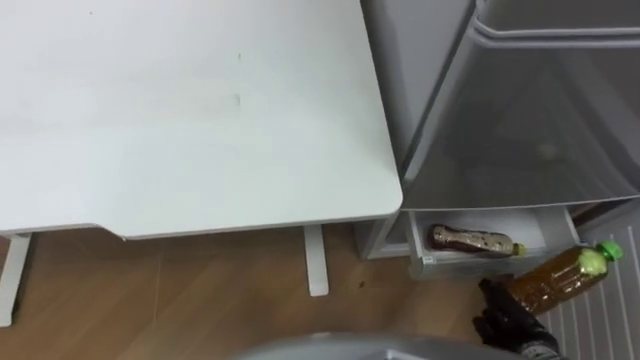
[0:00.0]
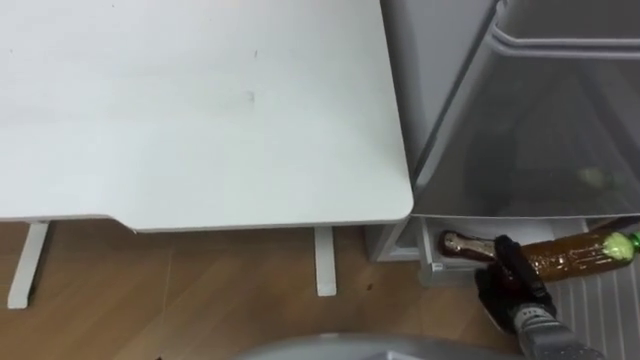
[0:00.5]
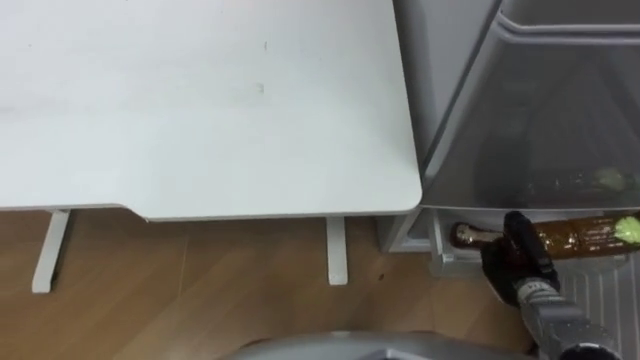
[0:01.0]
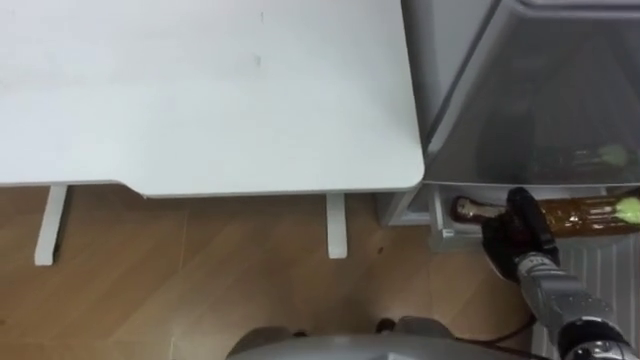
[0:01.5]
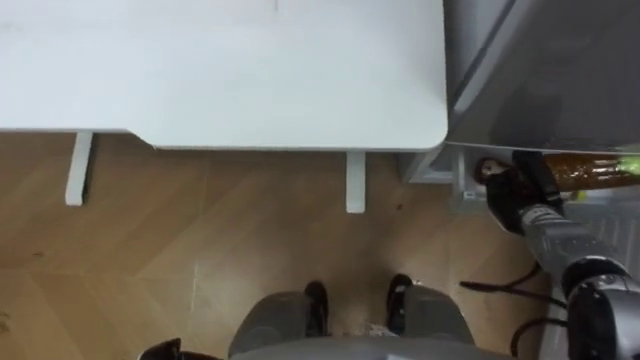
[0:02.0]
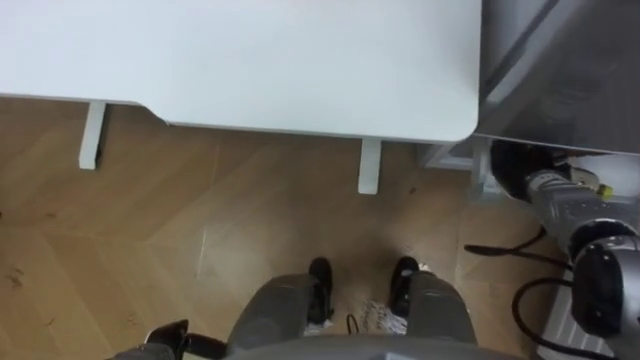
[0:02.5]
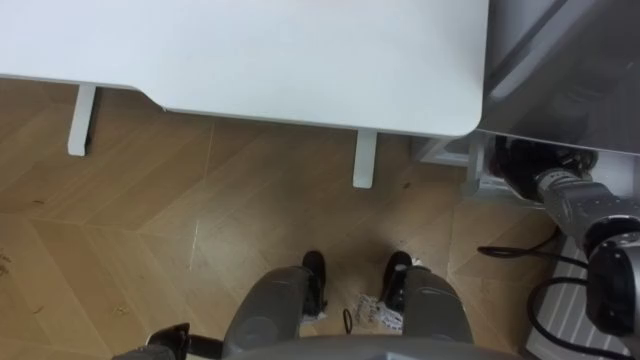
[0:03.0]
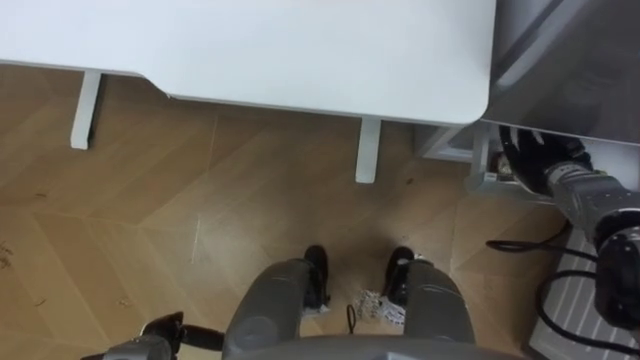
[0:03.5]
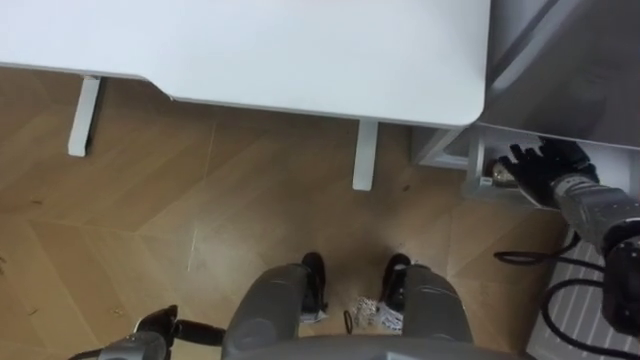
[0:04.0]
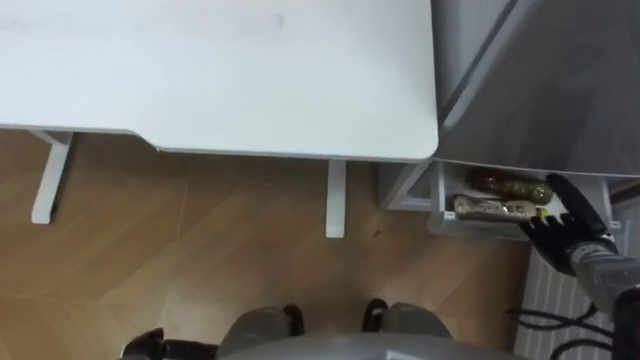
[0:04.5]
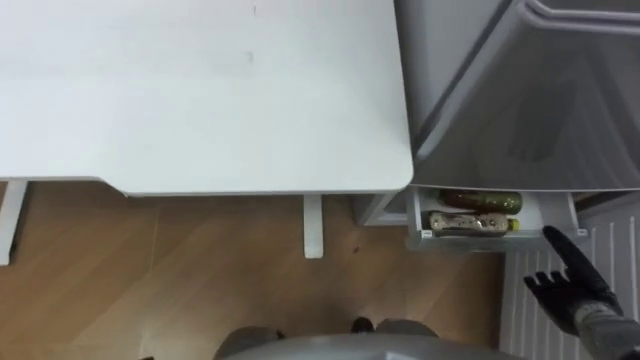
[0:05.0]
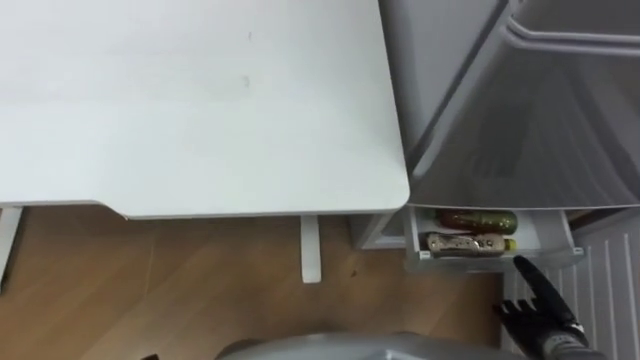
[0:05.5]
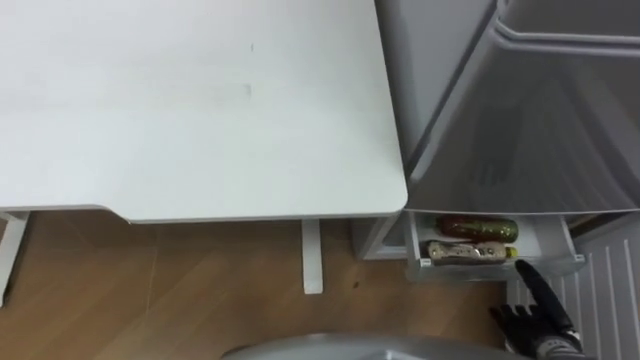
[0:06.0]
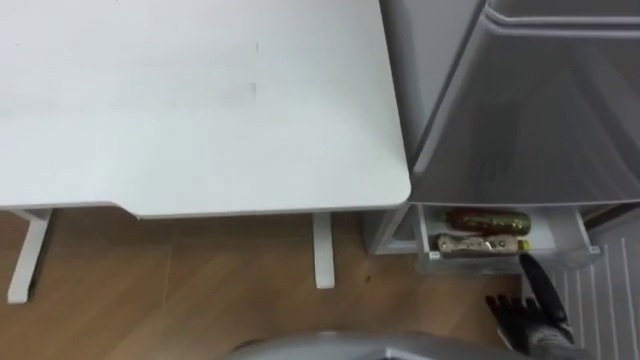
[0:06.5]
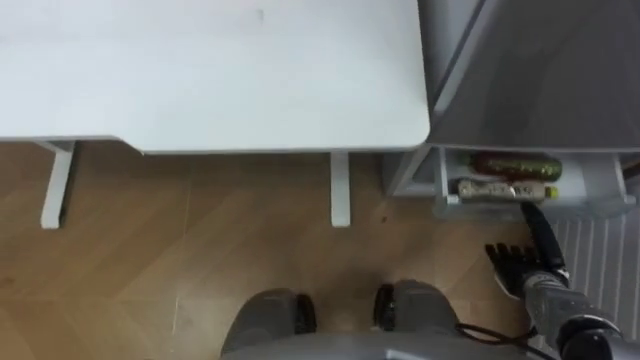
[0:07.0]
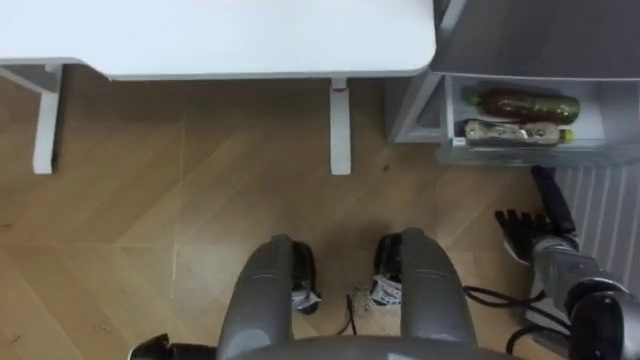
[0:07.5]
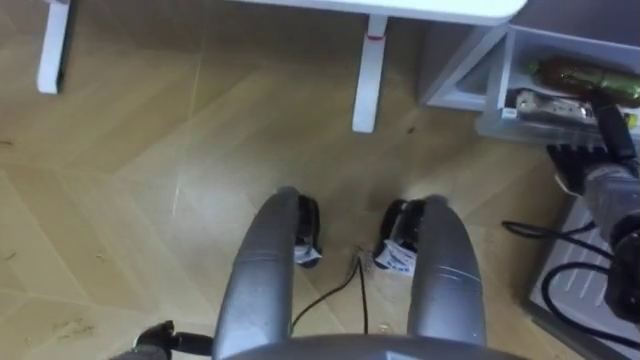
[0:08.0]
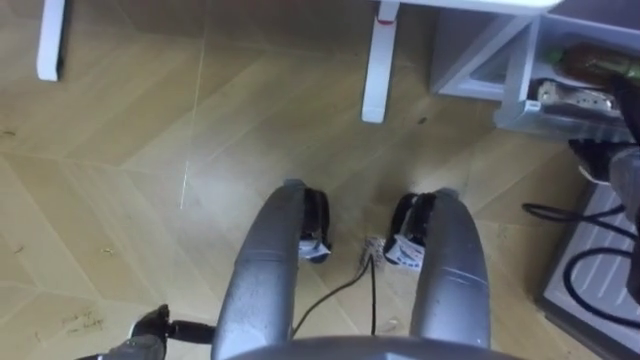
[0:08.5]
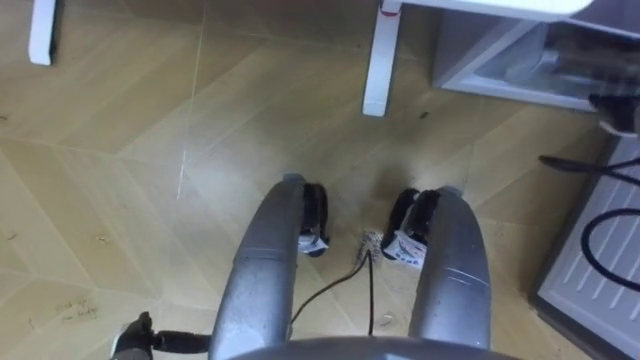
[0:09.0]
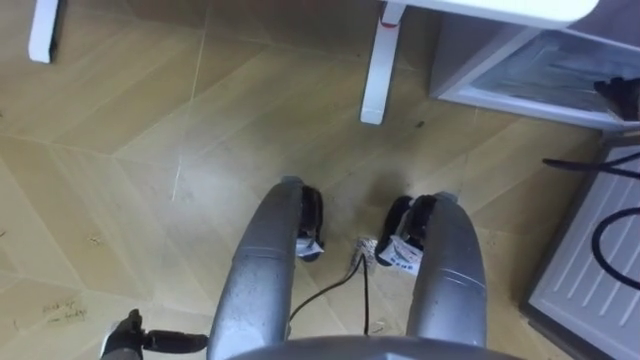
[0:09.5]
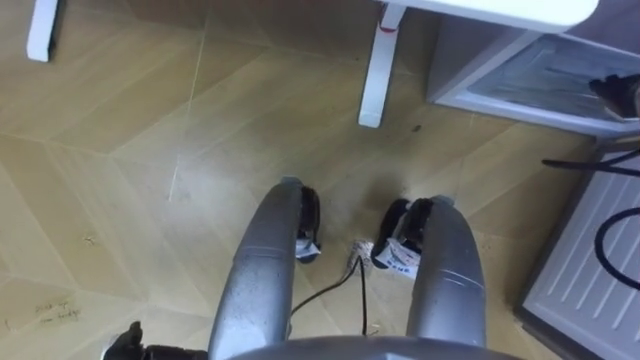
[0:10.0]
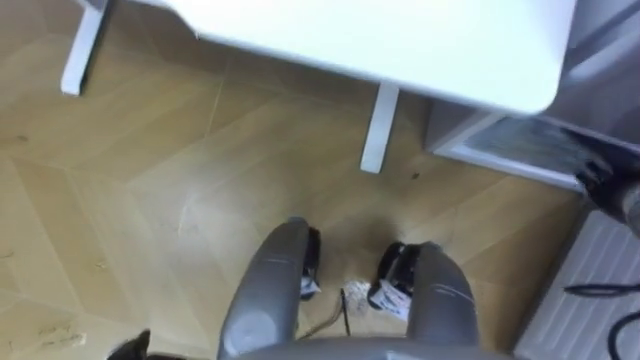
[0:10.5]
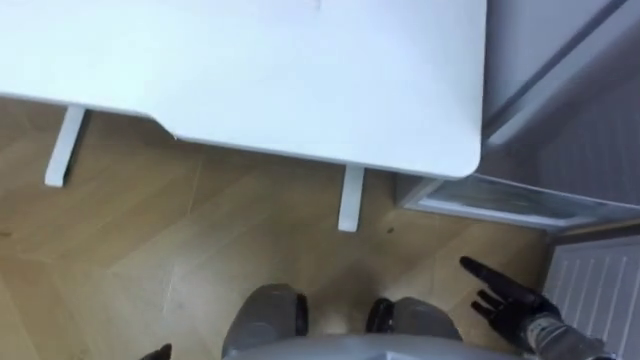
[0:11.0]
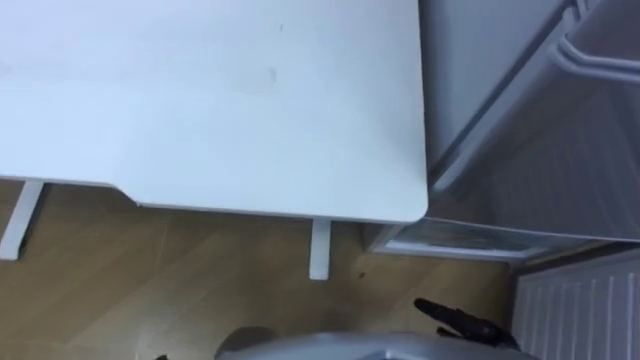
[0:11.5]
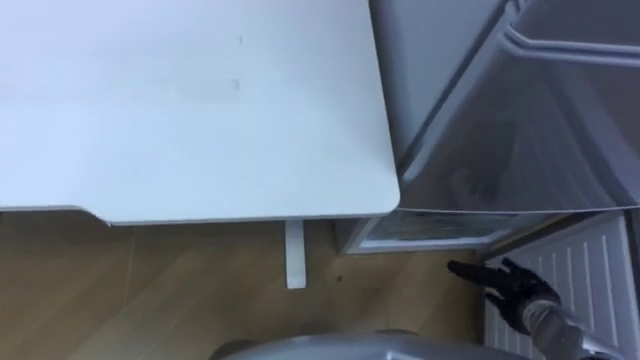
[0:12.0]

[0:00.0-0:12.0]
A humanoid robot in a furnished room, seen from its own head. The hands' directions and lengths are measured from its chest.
Task of the whole recording: Place the drink on the table on the bottom shelf of the refrigerator, then close the drawer and the refrigerator door.
0:00.0 to 0:02.0: The right hand heads forward, covering approximately 20 cm.
0:02.0 to 0:04.0: The right hand changes place by approximately 5 cm, and opens.
0:04.0 to 0:06.0: The right hand goes roughly 25 cm backward and downward.
0:06.0 to 0:08.0: The right hand heads forward and upward, covering some 25 cm.
0:08.0 to 0:10.0: The right hand heads upward and forward, covering approximately 15 cm.
0:10.0 to 0:12.0: The right hand travels backward, downward and to the left by roughly 35 cm.

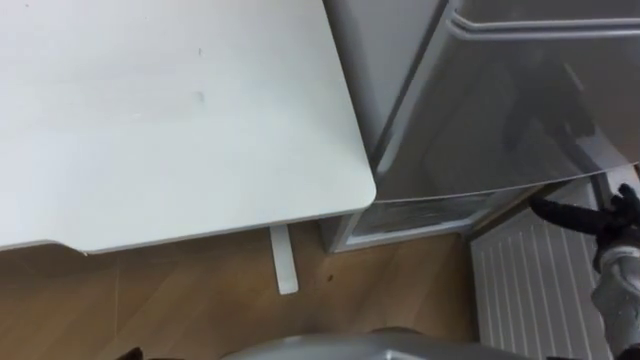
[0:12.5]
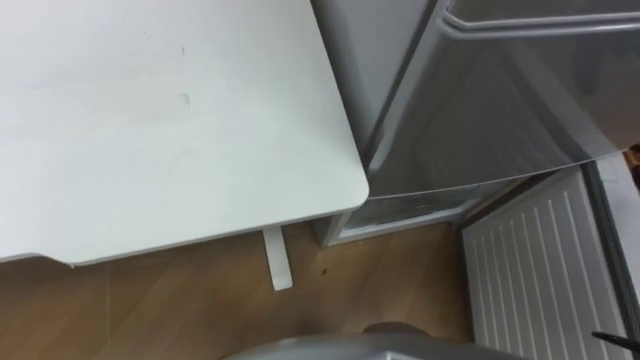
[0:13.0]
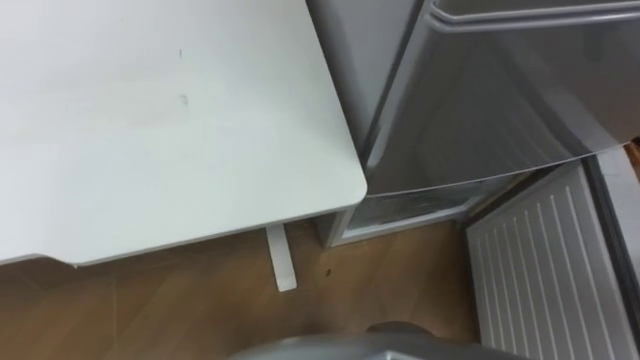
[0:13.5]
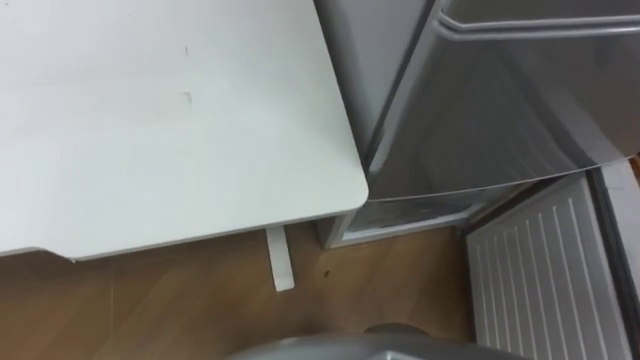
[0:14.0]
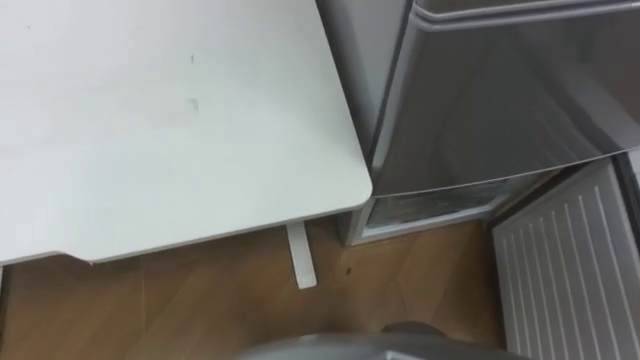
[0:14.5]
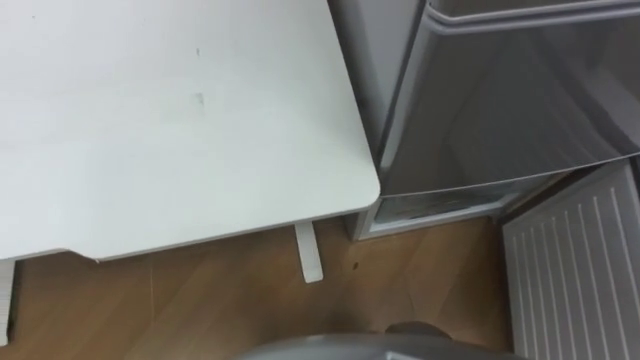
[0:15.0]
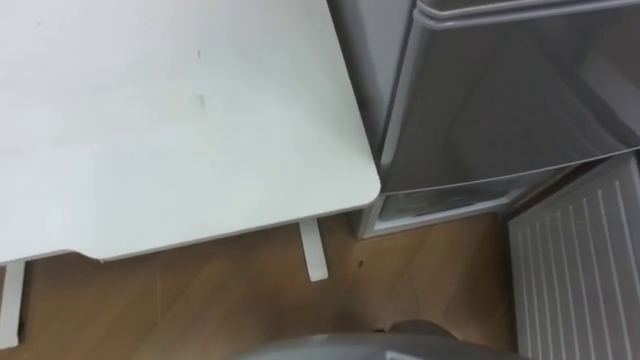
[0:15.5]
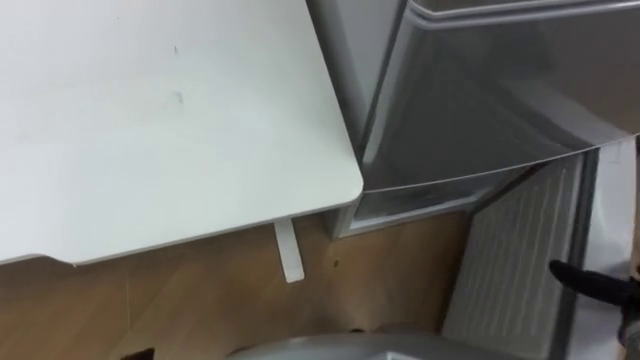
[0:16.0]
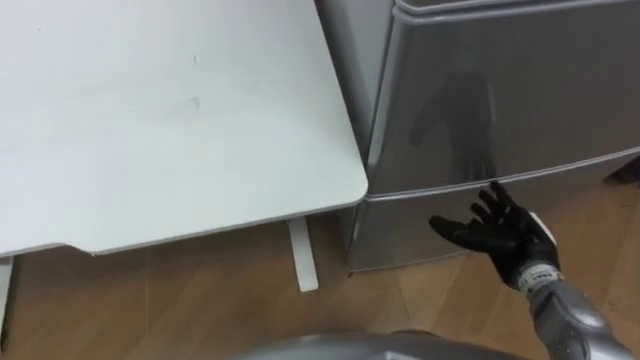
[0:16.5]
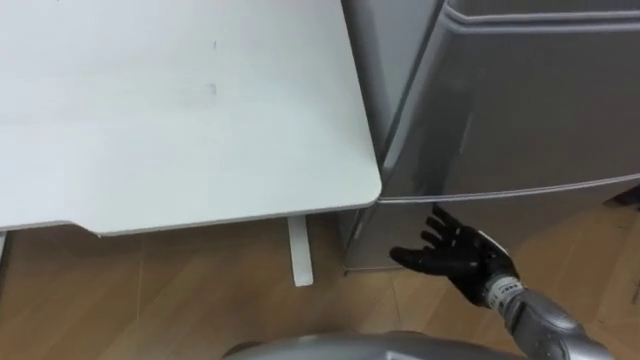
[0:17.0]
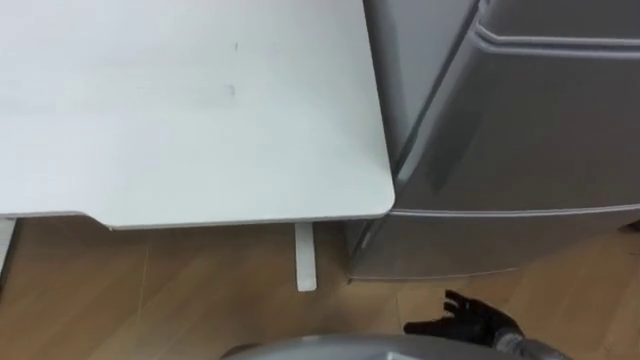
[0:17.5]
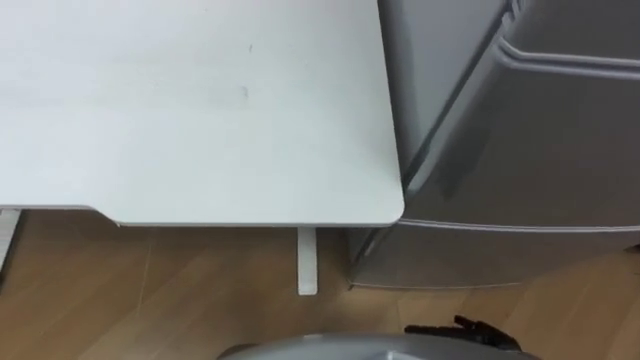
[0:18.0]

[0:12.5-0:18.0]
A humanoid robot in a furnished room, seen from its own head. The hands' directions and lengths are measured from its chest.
Task of the whole recording: Place the drink on the table on the bottom shelf of the refrigerator, then close the drawer and the refrigerator door.
0:16.0 to 0:18.0: The right hand travels to the left and downward by roughly 20 cm.

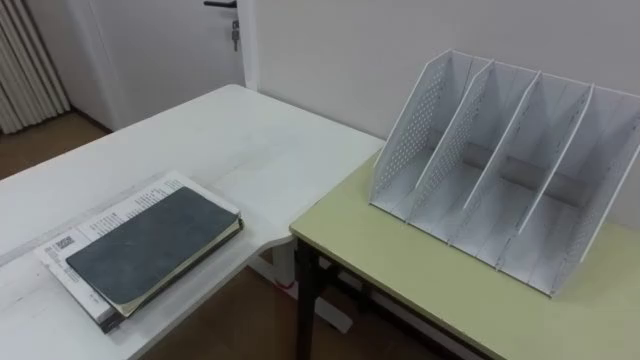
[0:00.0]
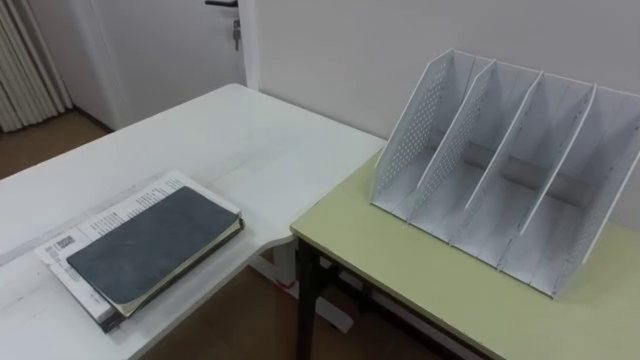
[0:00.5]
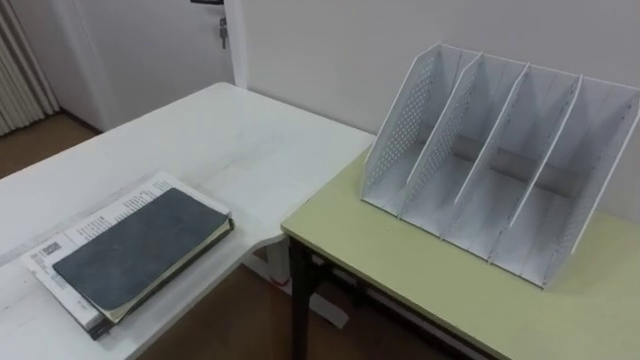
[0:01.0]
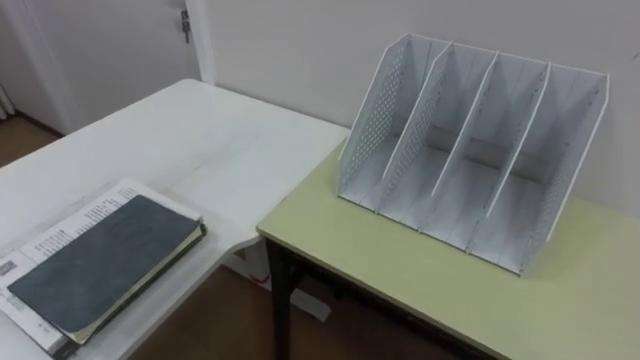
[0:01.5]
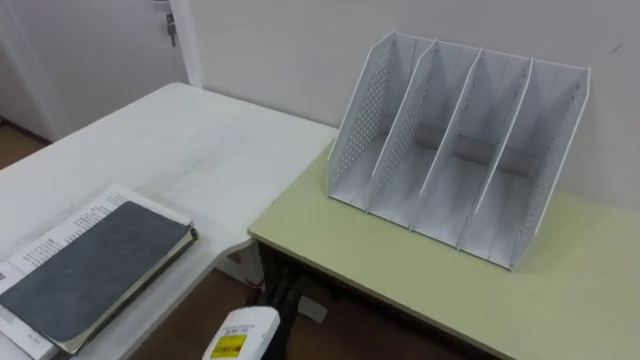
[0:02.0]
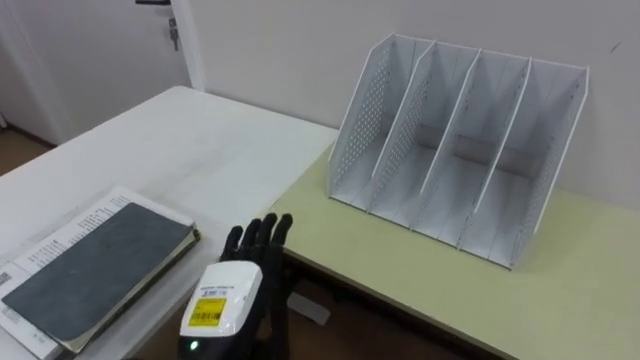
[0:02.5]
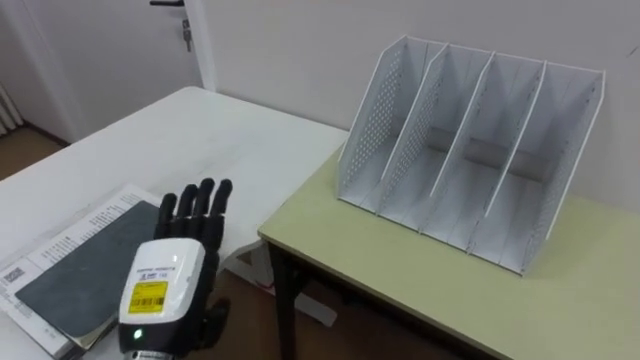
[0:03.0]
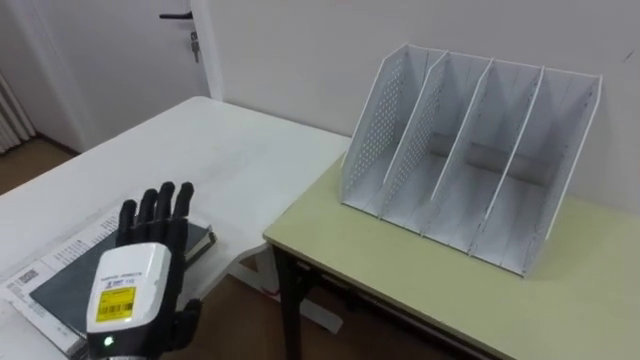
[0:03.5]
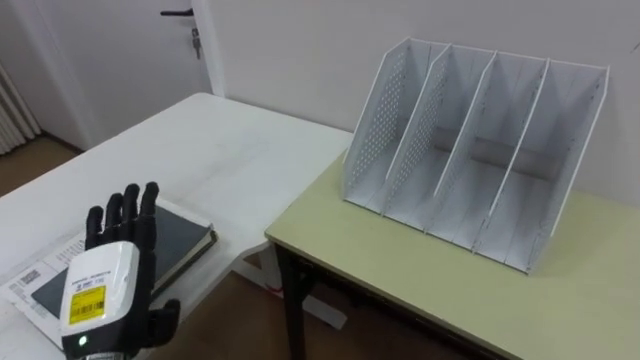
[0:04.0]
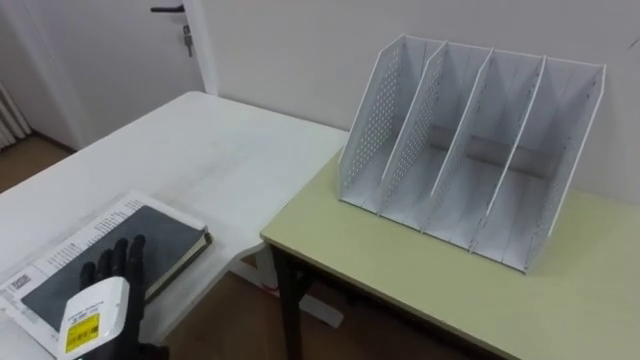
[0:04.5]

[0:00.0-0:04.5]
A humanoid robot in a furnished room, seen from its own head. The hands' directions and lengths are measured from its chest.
Task of the whole recording: Put the books on the table onto the bookshelf.
0:02.0 to 0:04.5: The left hand travels to the left by some 15 cm.
